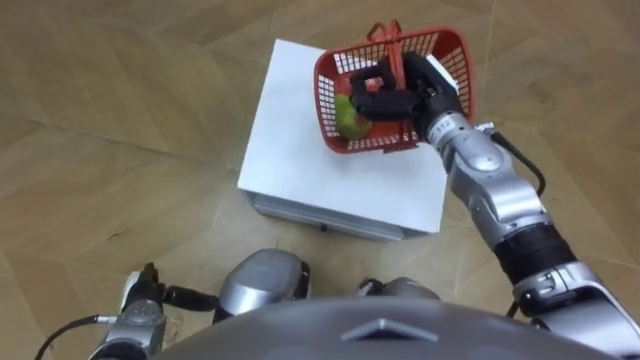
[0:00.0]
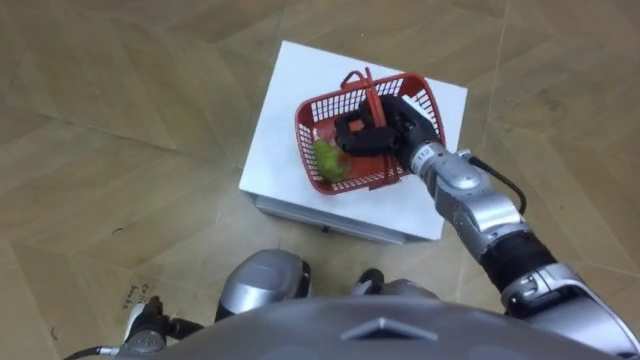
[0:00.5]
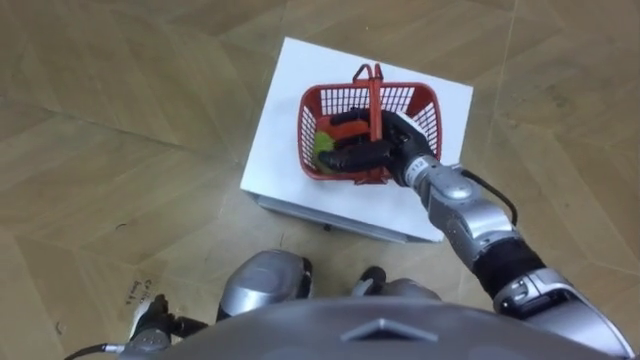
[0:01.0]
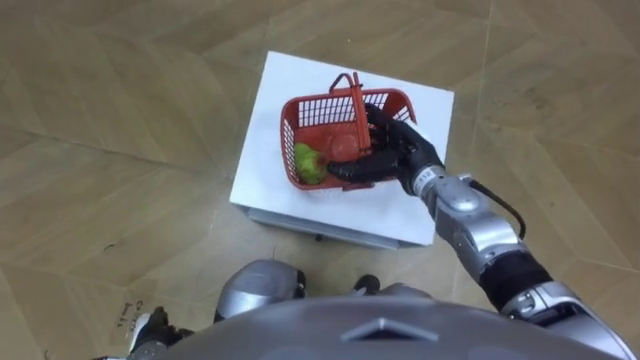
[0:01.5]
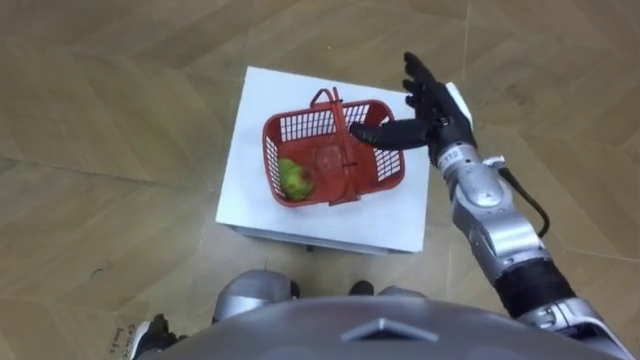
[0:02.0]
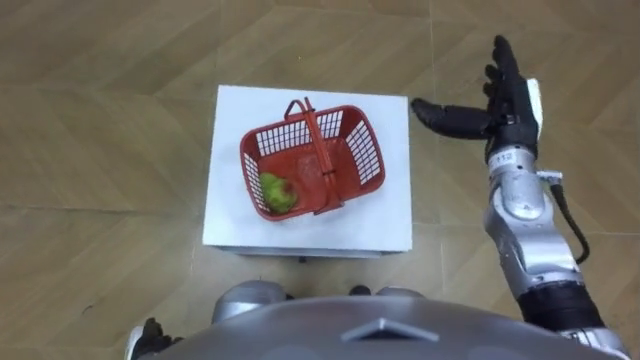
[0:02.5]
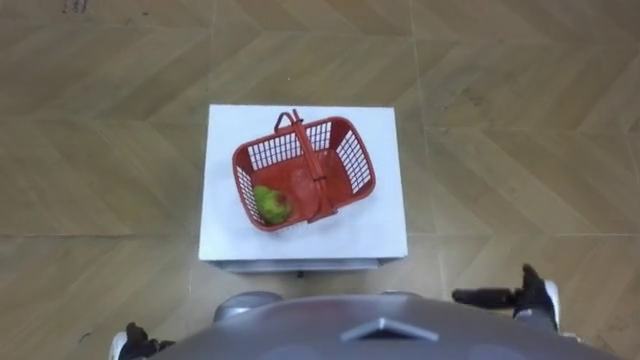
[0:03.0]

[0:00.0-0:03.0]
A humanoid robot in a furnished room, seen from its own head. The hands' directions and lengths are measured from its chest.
Task of the whole recording: Pick up the fruit basket from the floor and place it on the cabinet.
0:00.0 to 0:01.5: The right hand heads downward and backward, covering some 10 cm, and opens. Meanwhile the left hand is displaced backward by about 5 cm.
0:01.5 to 0:03.0: The right hand heads to the right, backward and downward, covering approximately 30 cm.

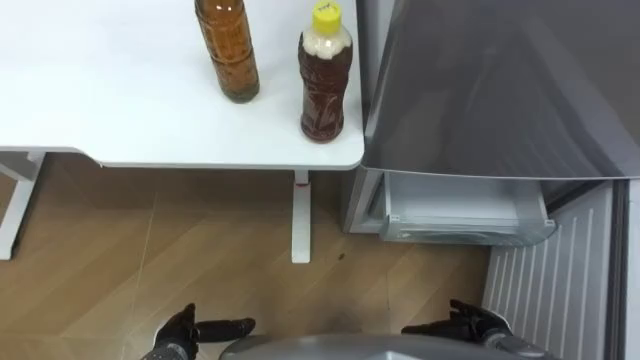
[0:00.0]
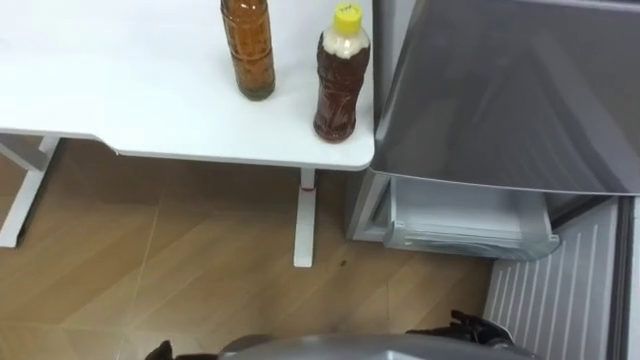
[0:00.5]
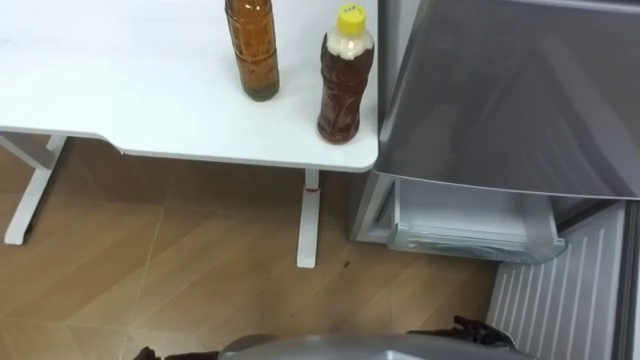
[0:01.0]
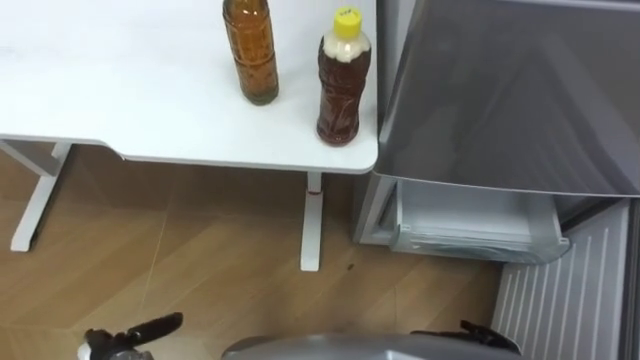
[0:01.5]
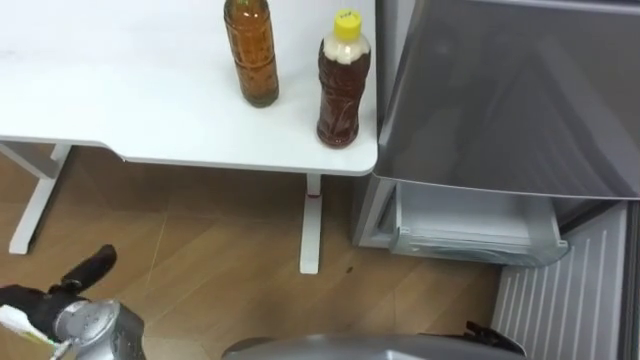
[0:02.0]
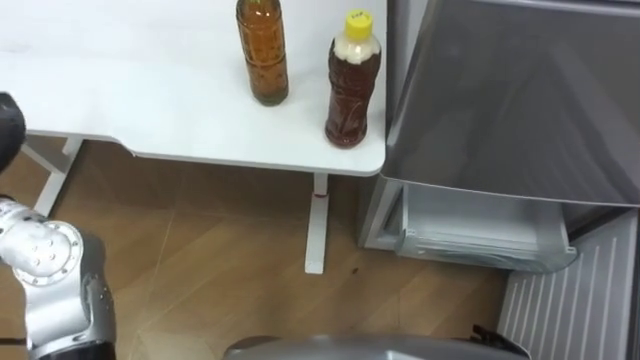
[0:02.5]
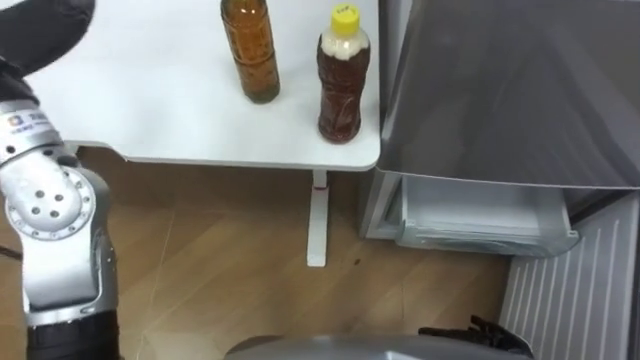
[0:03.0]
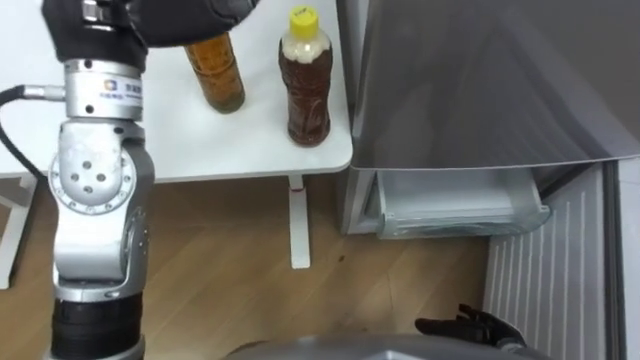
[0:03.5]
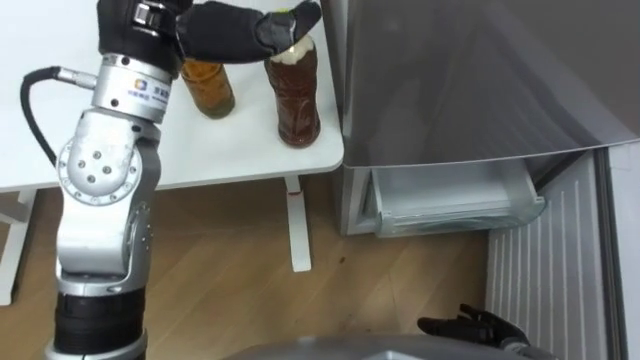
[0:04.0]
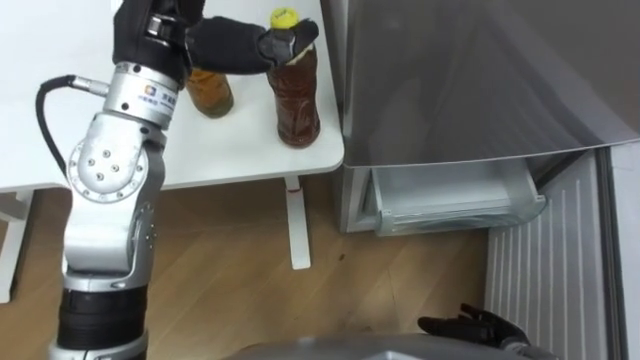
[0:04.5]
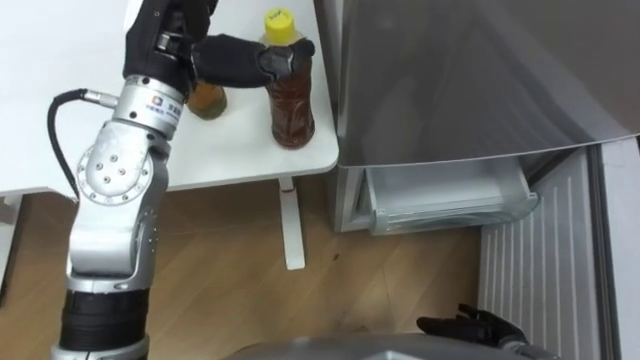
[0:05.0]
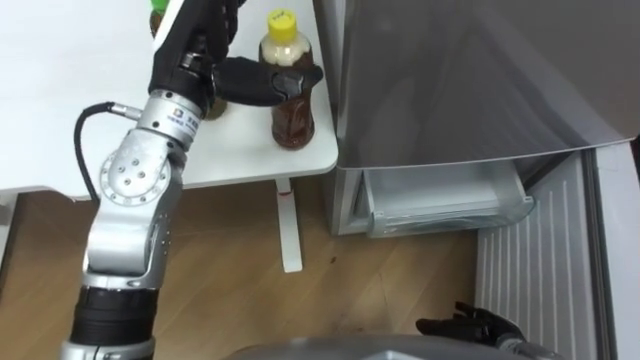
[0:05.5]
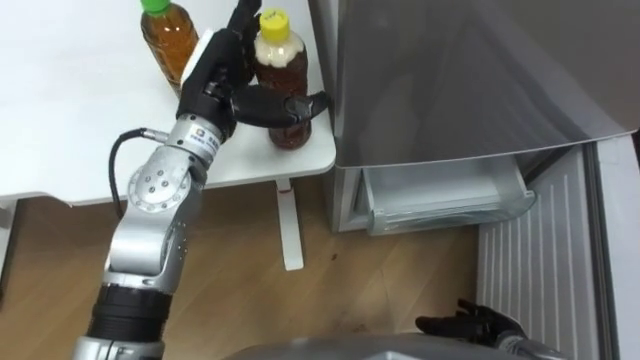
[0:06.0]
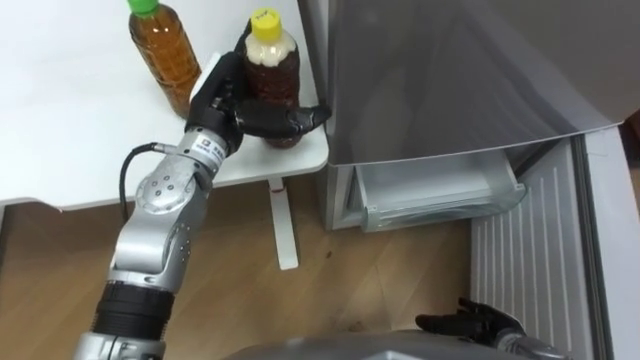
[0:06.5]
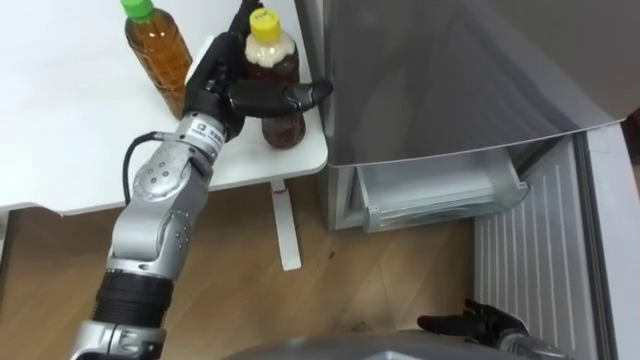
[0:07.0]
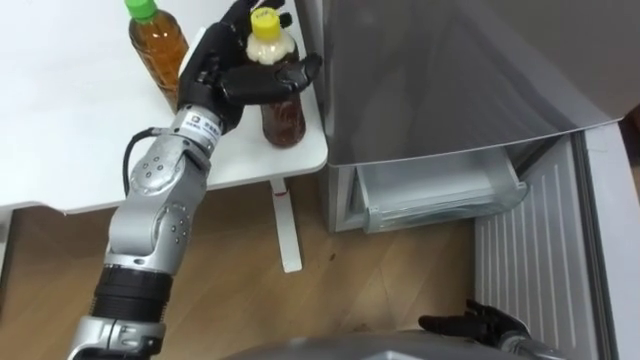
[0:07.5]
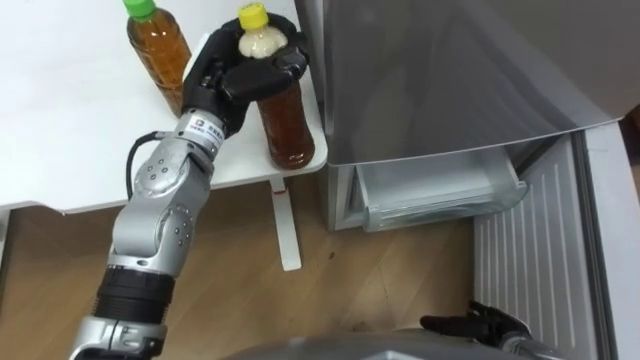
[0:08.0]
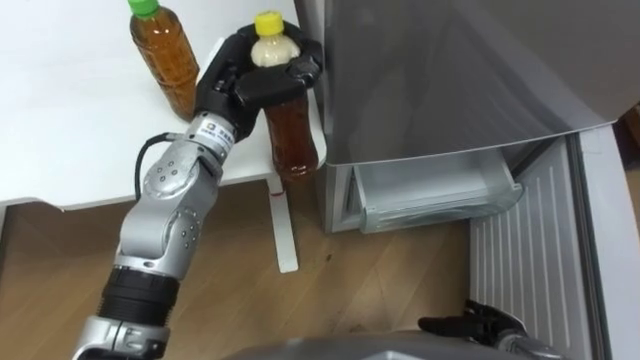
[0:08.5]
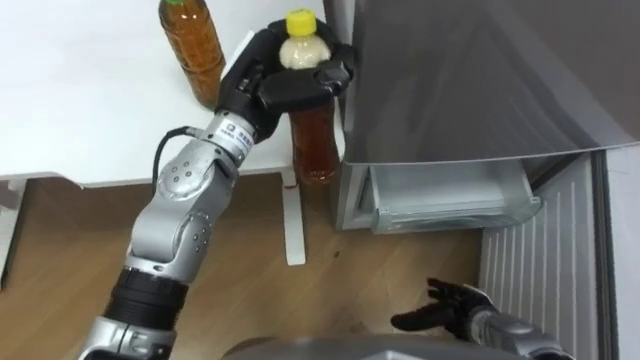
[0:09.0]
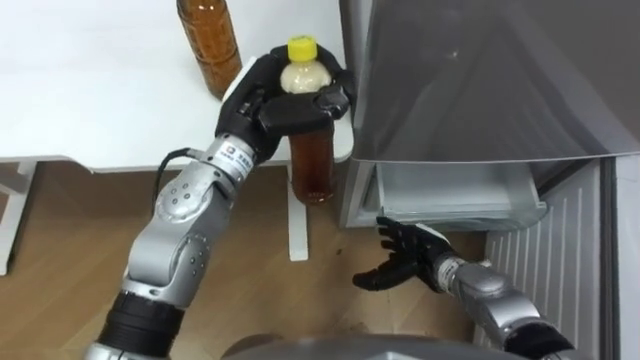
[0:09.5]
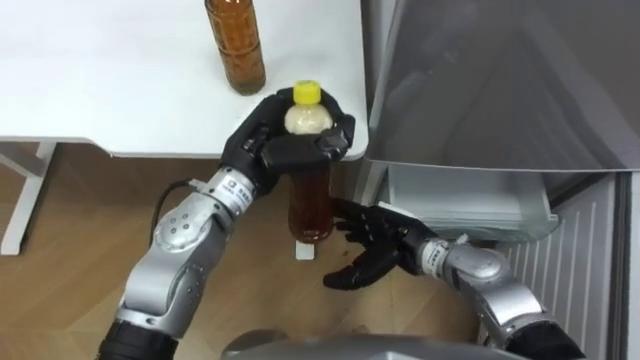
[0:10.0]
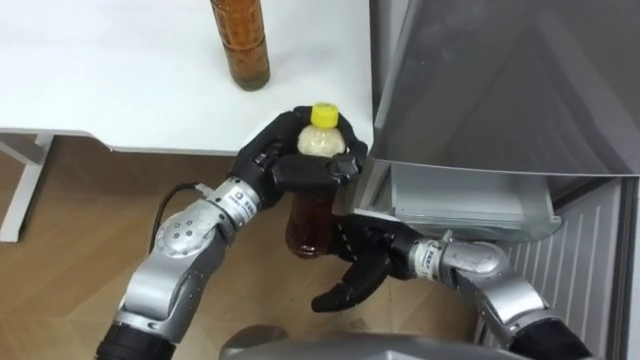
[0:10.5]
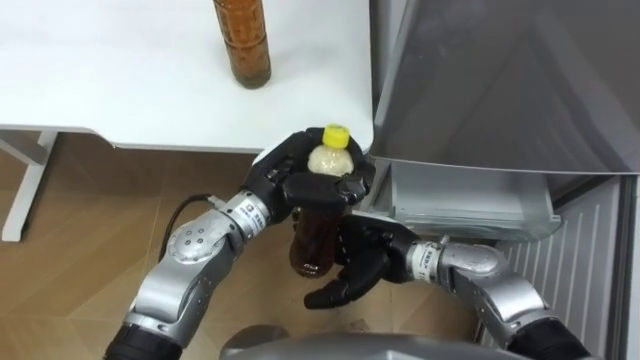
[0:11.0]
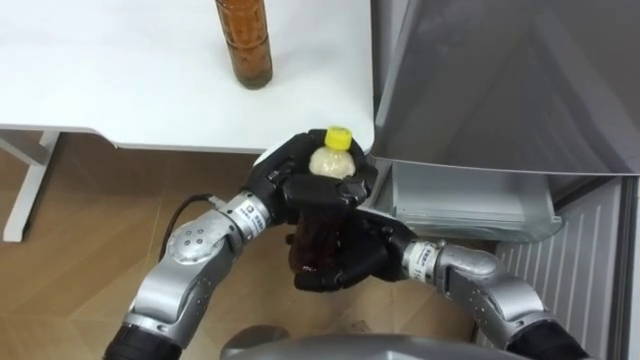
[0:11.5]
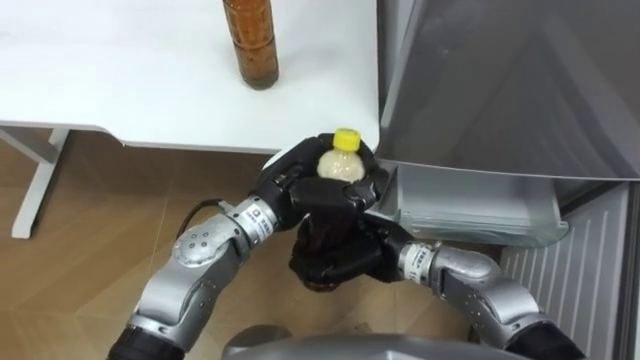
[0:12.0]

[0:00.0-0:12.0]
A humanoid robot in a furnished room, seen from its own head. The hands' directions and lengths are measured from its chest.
Task of the whole recording: Place the drink on the table on the bottom shelf of the refrigerator, then close the drawer and the refrigerator door.
0:04.0 to 0:06.0: The left hand heads downward, covering some 15 cm.
0:06.0 to 0:08.0: The left hand closes up.
0:08.0 to 0:10.0: The left hand travels backward by about 5 cm, while the right hand is displaced to the left, forward and upward by some 25 cm.
0:10.0 to 0:12.0: The left hand changes place by roughly 5 cm, while the right hand shifts by some 5 cm, and closes its fingers.

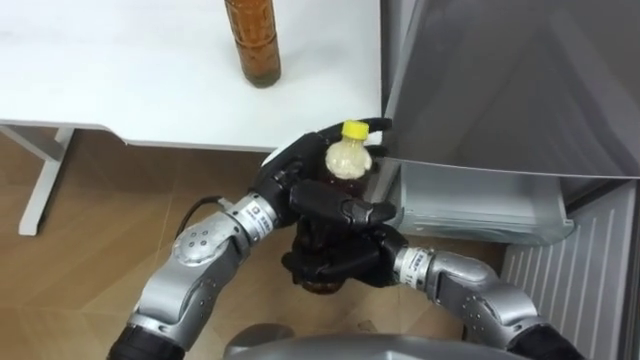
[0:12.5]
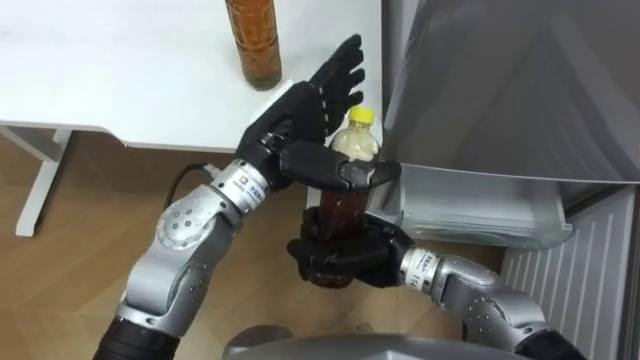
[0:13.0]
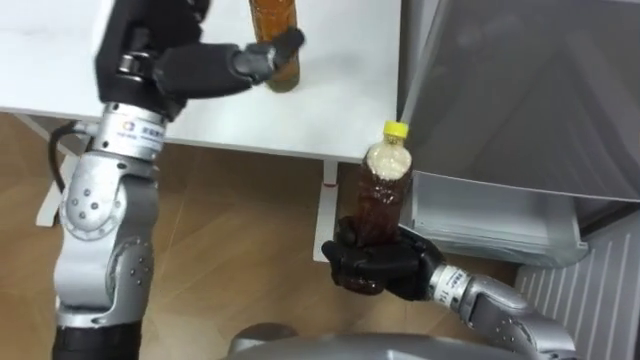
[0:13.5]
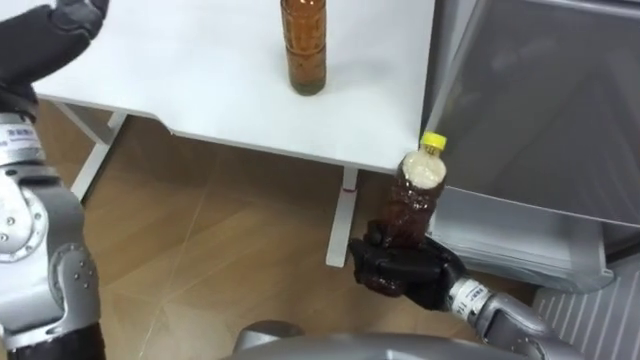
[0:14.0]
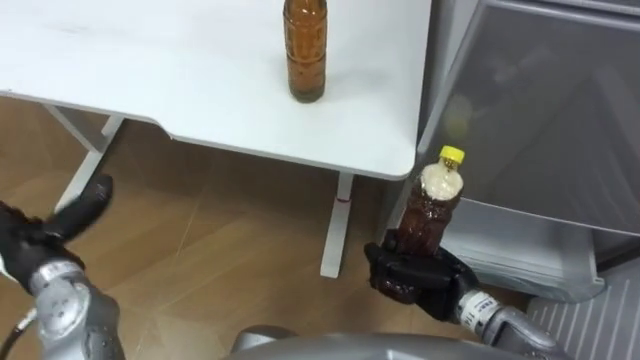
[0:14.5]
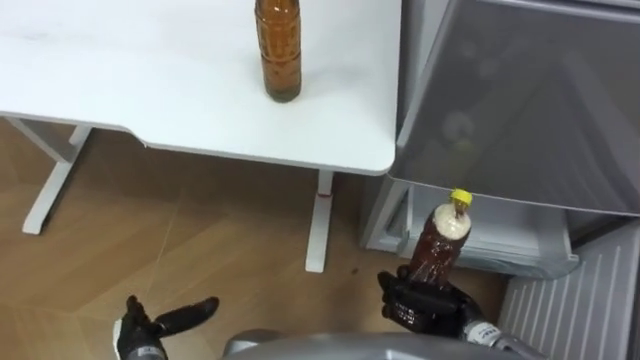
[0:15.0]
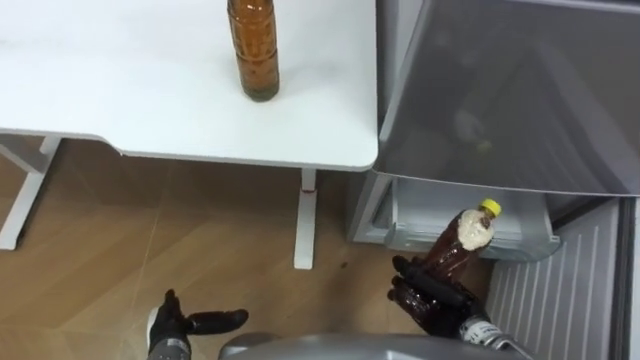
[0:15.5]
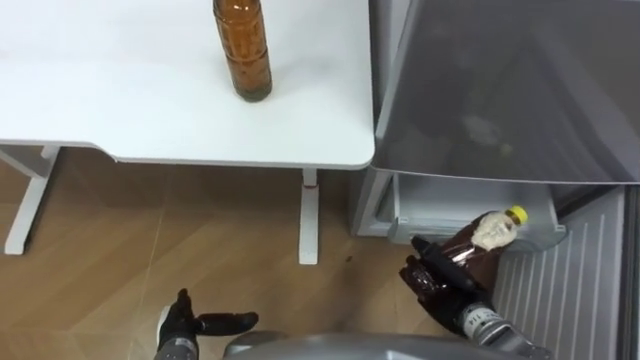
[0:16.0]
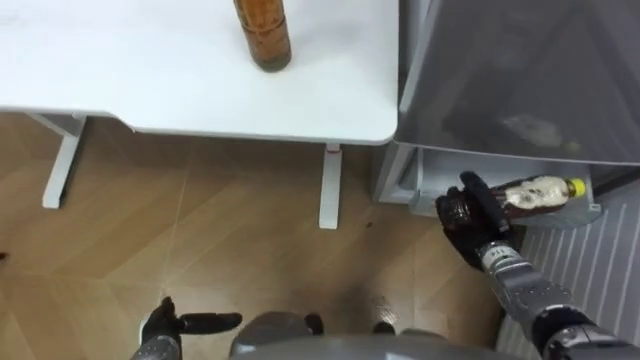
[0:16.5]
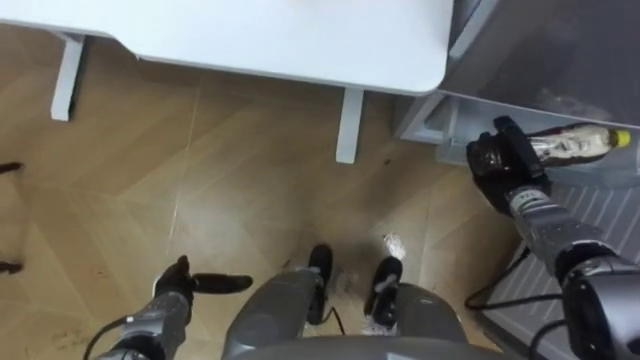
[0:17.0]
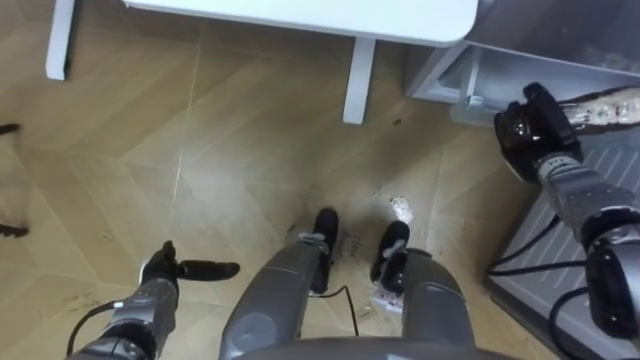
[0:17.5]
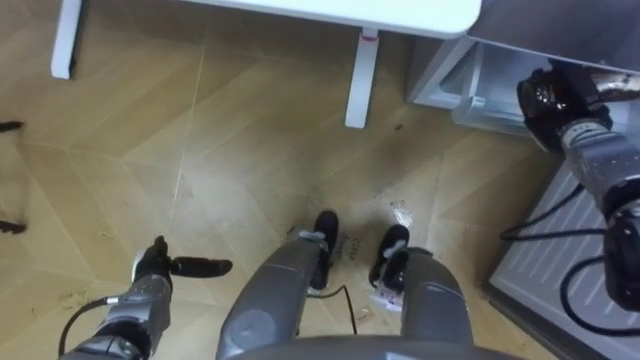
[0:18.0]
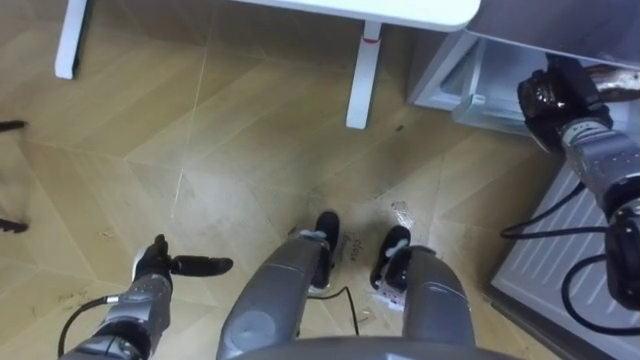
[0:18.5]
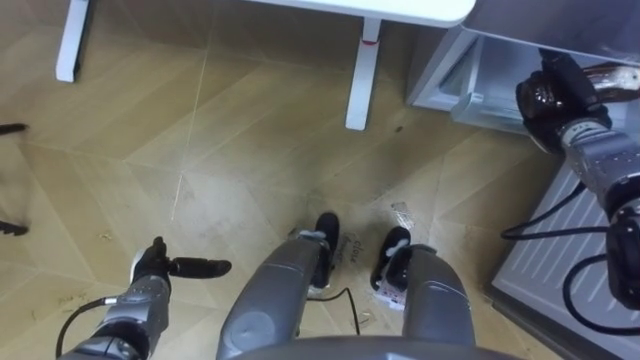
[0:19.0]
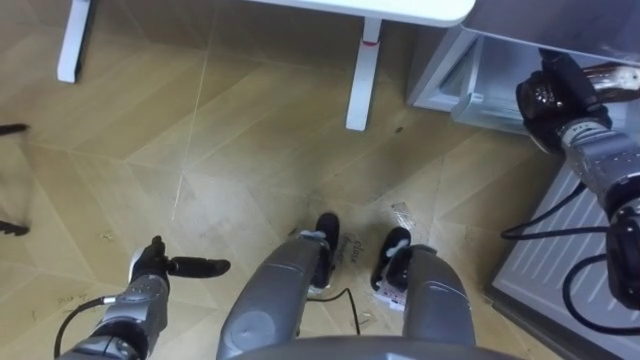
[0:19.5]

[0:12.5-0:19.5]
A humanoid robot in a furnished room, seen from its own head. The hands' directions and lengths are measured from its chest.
Task of the whole recording: Place the drink on the table on the bottom shelf of the refrigerator, then close the drawer and the refrigerator door.
0:12.5 to 0:14.5: The right hand is displaced to the right by about 10 cm.
0:14.5 to 0:16.0: The right hand goes some 5 cm downward. The left hand shifts roughly 25 cm downward, to the right and backward.
0:16.0 to 0:17.5: The right hand heads forward, to the right and upward, covering some 25 cm, while the left hand moves forward, roughly 10 cm.
0:17.5 to 0:19.5: The right hand ends up about 5 cm from where it was.
